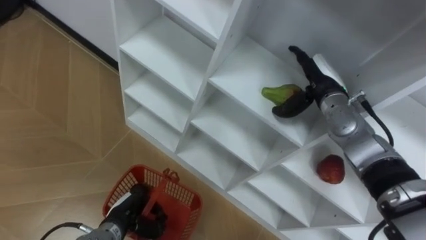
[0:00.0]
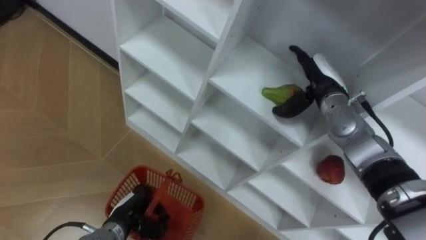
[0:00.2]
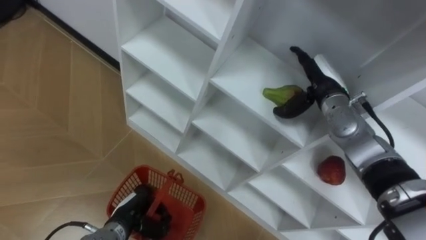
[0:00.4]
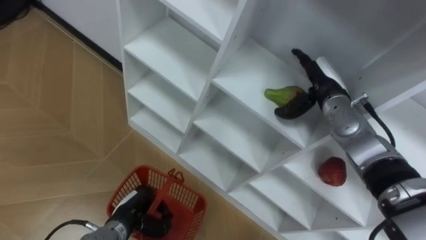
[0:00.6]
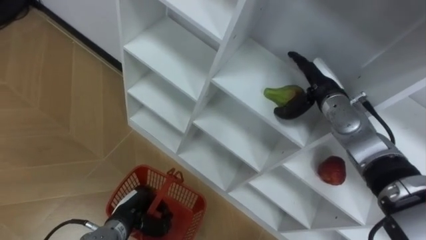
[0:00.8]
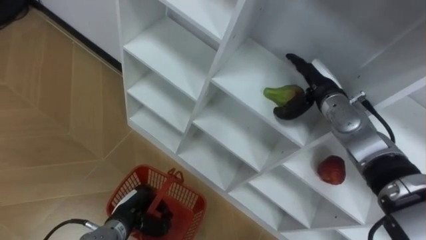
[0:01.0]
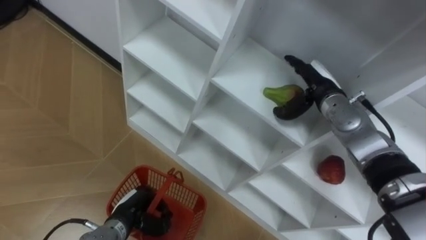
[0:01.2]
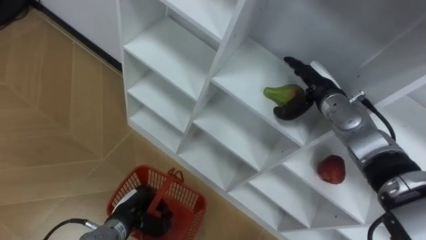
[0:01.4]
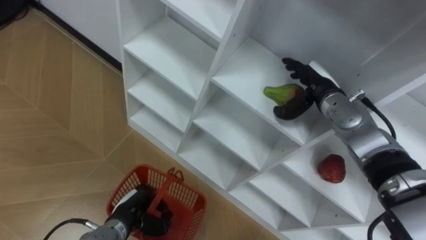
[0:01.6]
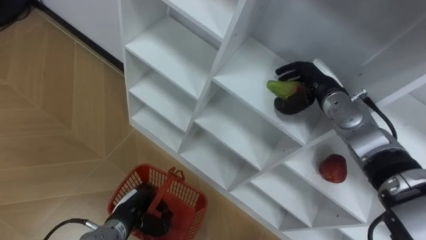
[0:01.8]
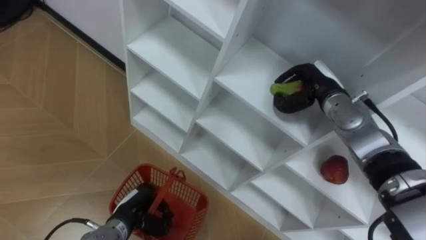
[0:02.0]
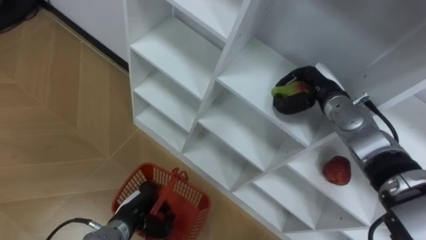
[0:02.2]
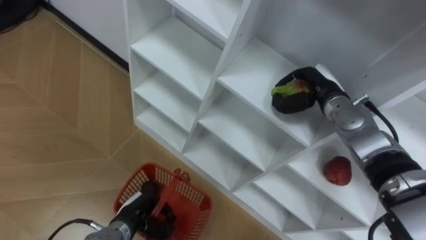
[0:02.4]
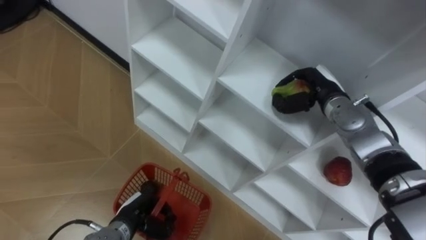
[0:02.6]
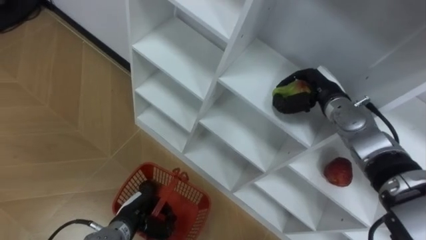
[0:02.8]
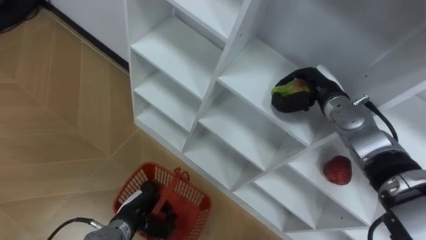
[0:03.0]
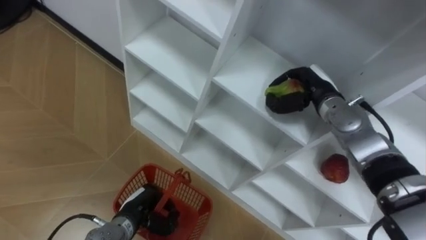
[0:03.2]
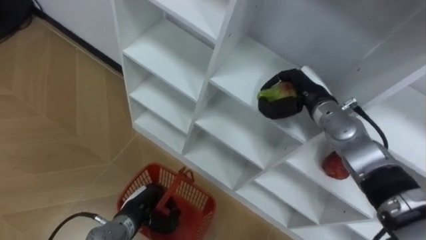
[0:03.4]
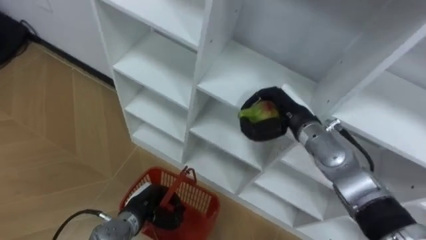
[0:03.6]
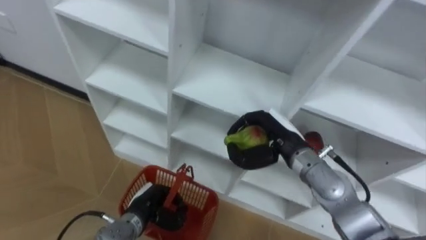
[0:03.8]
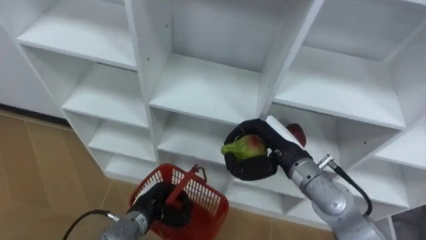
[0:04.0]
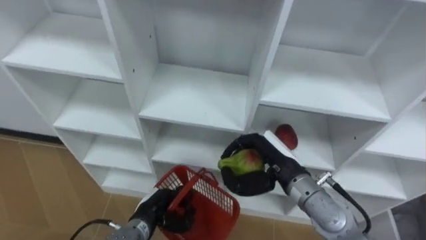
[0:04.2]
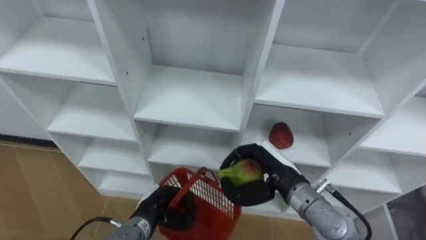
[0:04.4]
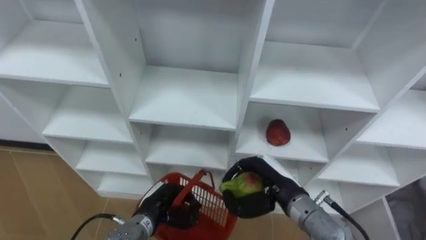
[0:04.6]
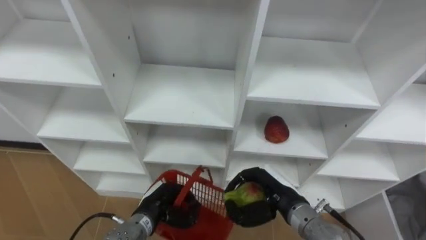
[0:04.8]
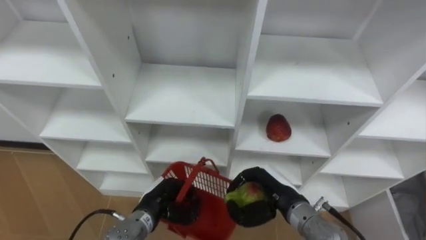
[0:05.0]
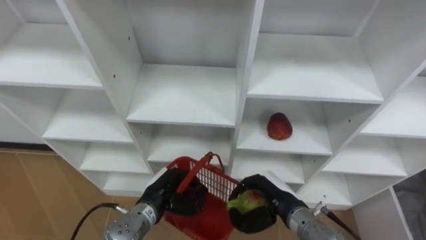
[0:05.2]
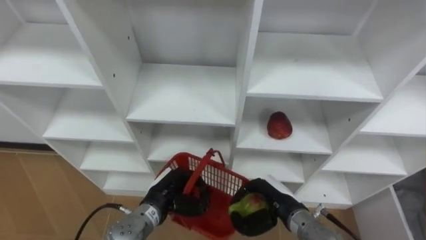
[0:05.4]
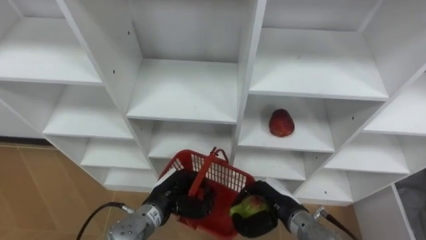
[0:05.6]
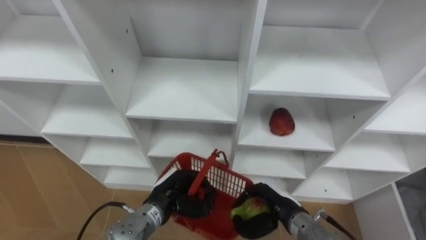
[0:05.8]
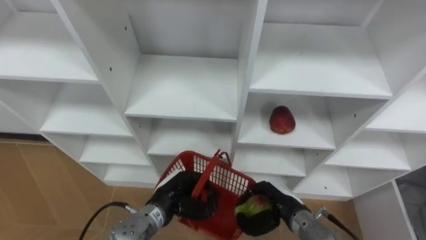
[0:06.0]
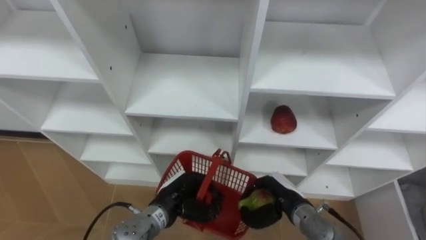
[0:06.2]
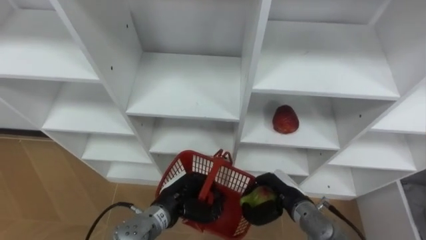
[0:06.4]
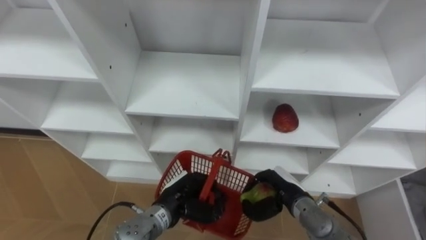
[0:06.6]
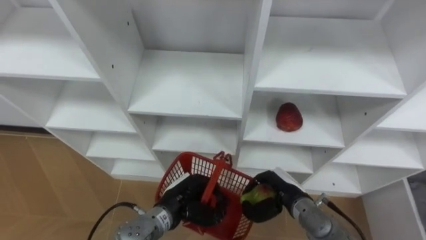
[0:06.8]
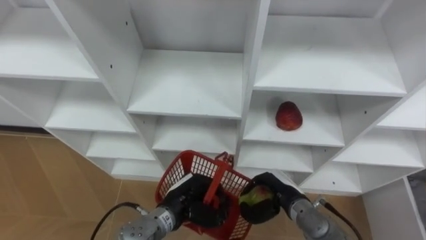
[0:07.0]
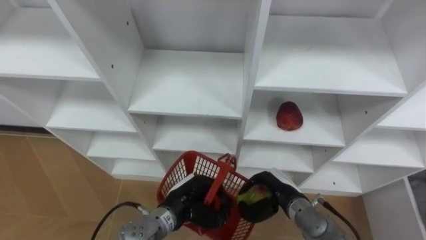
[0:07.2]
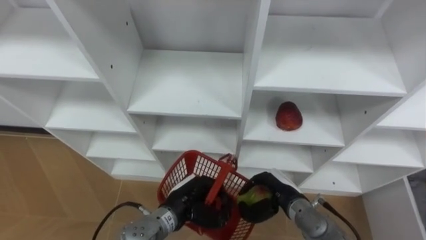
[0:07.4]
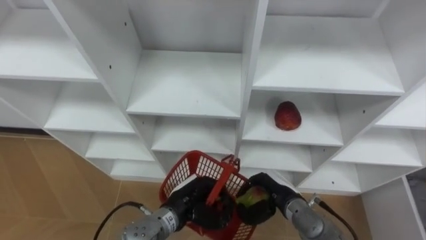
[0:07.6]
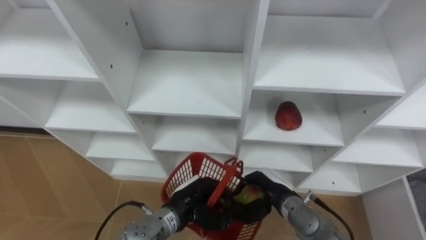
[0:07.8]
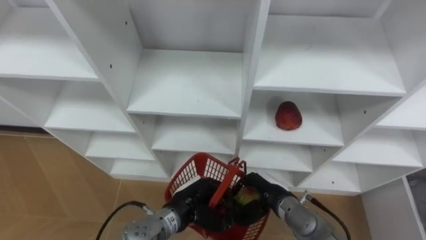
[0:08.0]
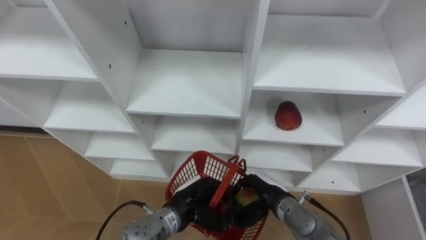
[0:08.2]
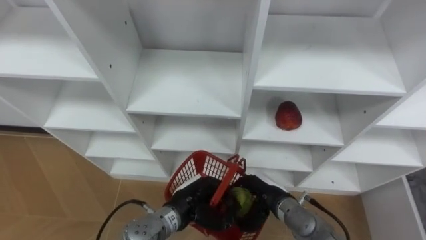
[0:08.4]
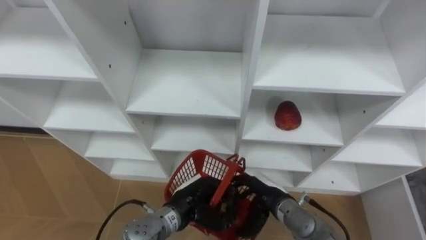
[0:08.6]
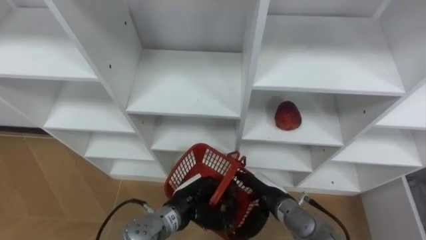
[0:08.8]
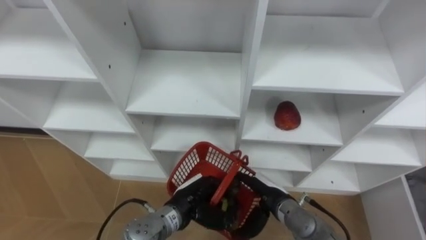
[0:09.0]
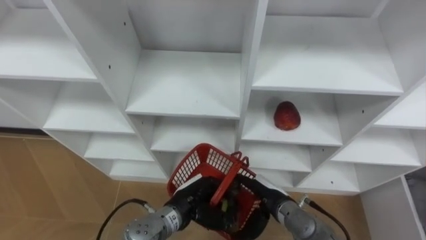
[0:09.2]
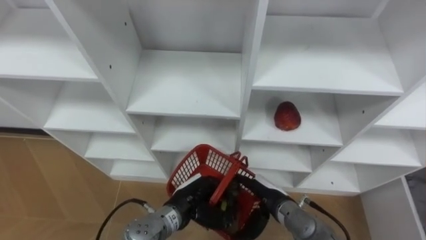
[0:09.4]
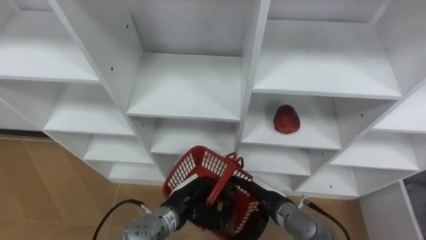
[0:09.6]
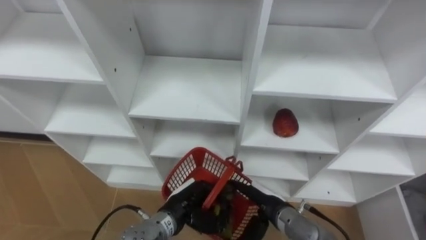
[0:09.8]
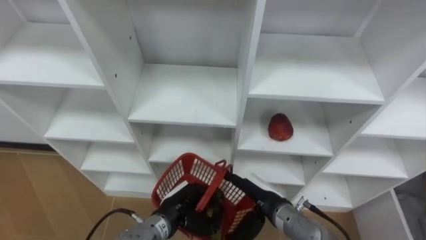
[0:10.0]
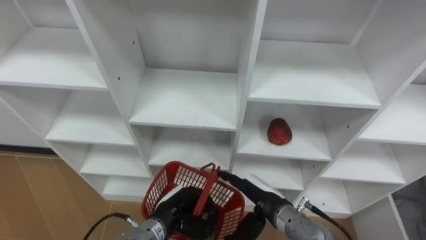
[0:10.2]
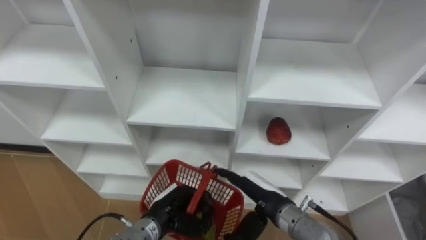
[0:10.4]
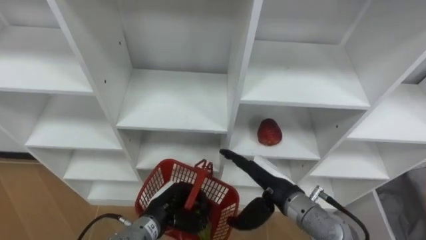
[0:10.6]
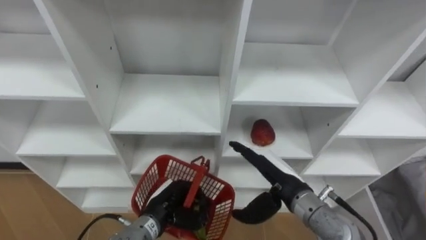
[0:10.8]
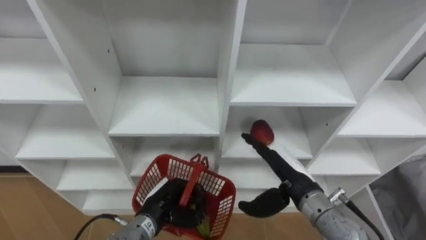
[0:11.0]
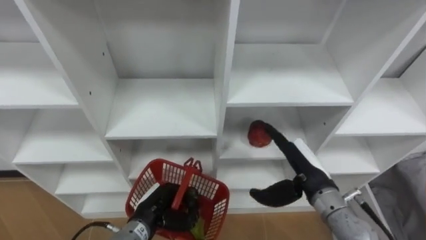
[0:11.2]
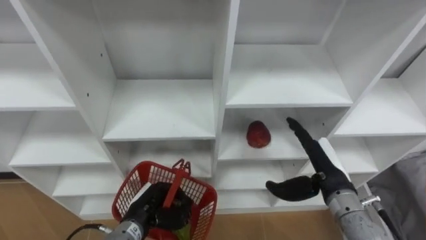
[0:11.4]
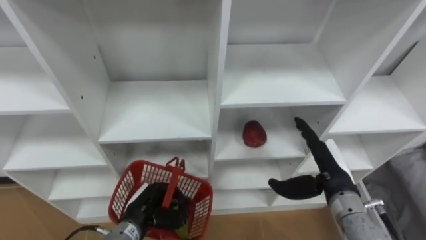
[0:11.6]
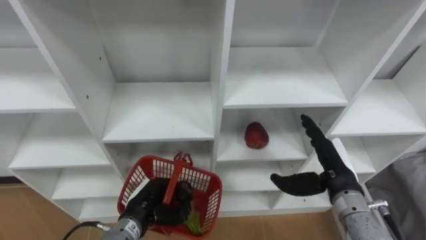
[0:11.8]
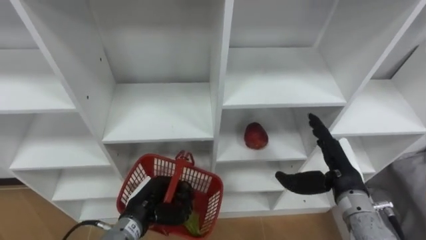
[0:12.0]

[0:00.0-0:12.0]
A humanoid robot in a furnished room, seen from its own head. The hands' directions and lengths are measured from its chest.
Task of the whole recording: Hold the basket and collect the fruits from 3 different cells of the closet into it.
0:00.0 to 0:01.6: There are only small adjustments of the hands.
0:01.6 to 0:03.0: The right hand closes.
0:03.0 to 0:04.4: The right hand travels backward and to the left by some 20 cm.
0:04.4 to 0:06.0: The left hand moves approximately 5 cm. The right hand shifts some 10 cm downward.
0:07.6 to 0:09.0: The right hand opens up.
0:09.0 to 0:10.4: The right hand shifts approximately 5 cm upward. The left hand changes place by roughly 5 cm.
0:10.4 to 0:12.0: The left hand moves some 5 cm; the right hand is displaced to the right and upward by approximately 15 cm.

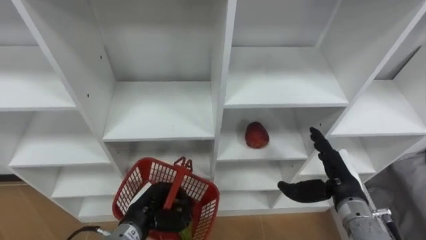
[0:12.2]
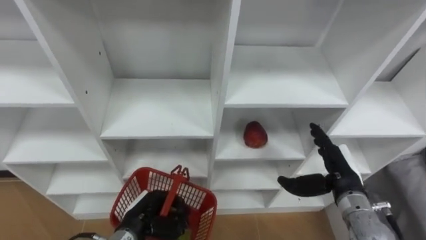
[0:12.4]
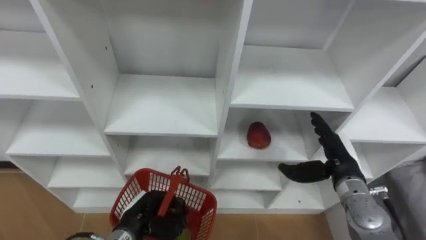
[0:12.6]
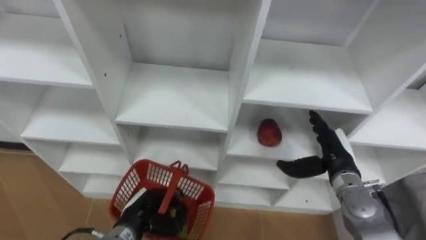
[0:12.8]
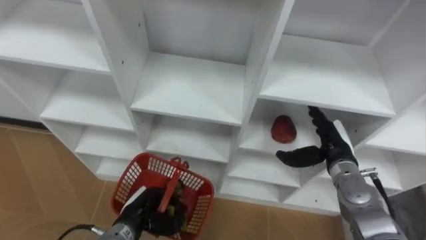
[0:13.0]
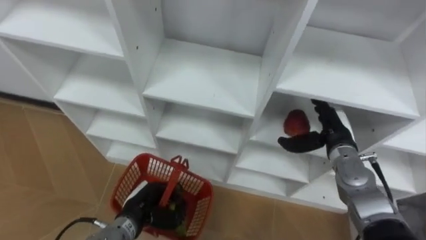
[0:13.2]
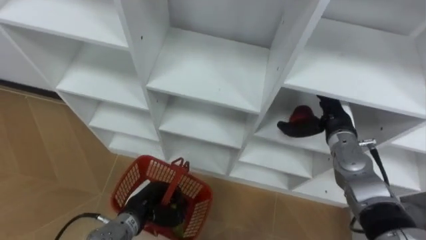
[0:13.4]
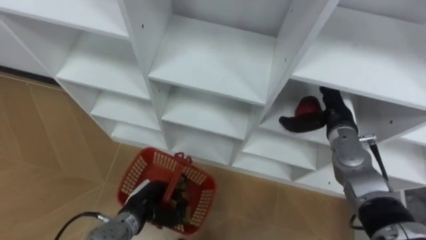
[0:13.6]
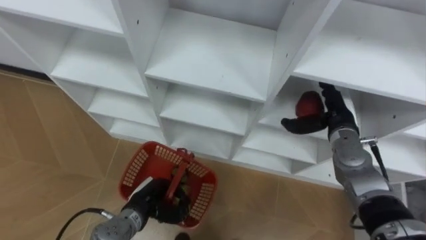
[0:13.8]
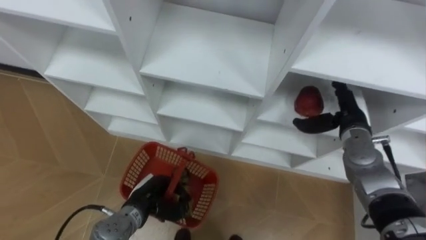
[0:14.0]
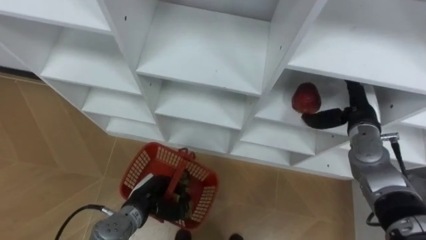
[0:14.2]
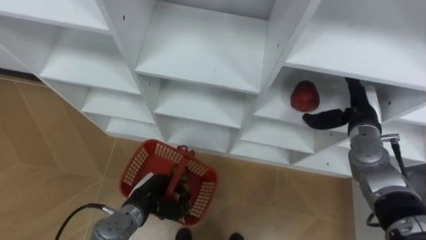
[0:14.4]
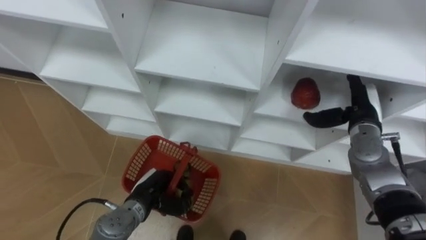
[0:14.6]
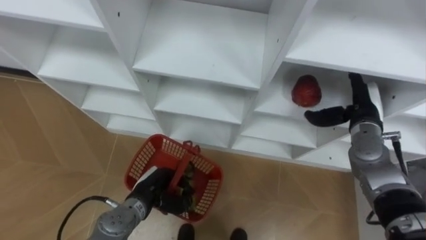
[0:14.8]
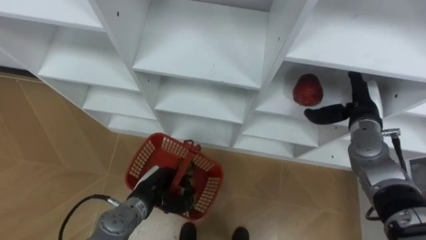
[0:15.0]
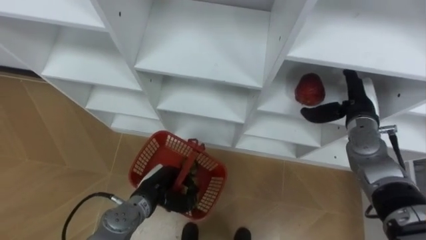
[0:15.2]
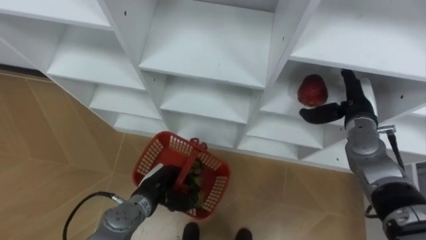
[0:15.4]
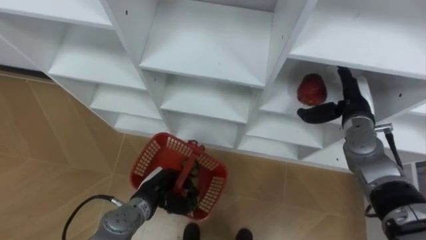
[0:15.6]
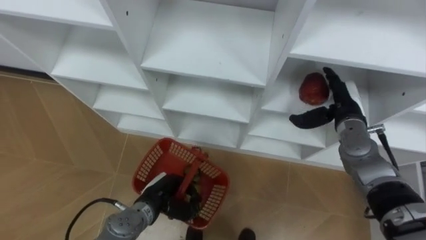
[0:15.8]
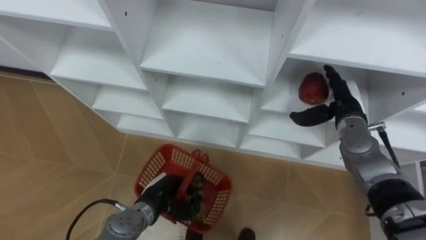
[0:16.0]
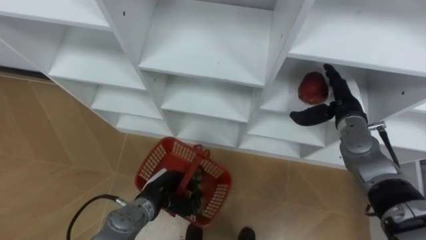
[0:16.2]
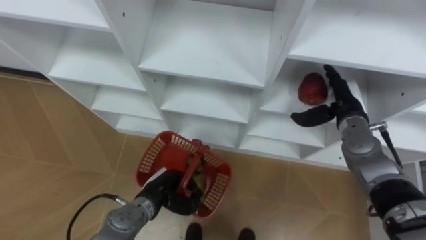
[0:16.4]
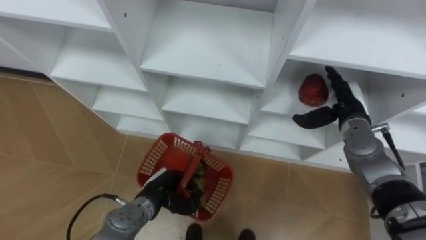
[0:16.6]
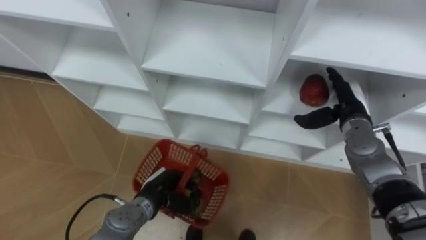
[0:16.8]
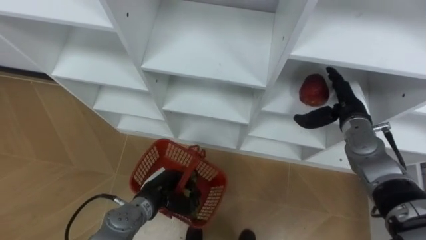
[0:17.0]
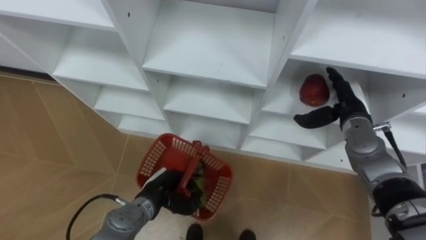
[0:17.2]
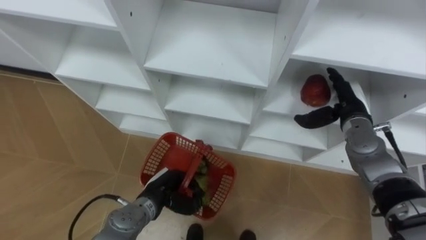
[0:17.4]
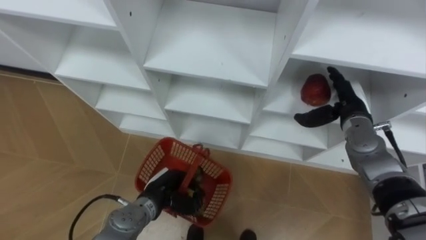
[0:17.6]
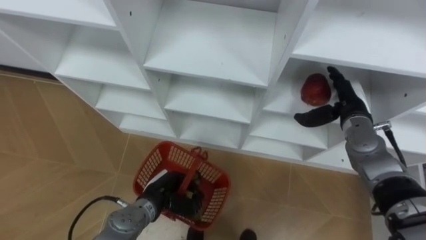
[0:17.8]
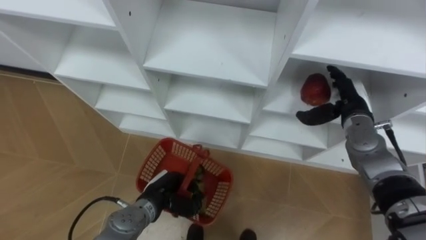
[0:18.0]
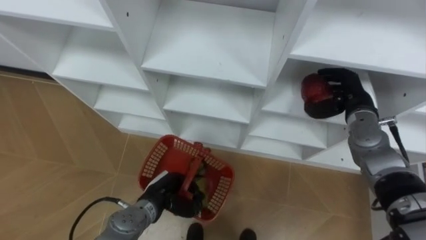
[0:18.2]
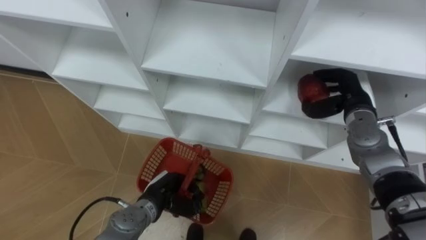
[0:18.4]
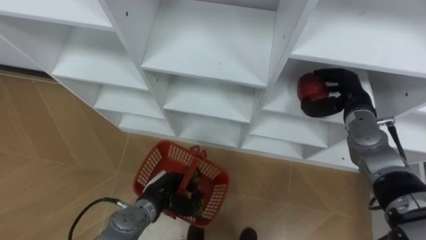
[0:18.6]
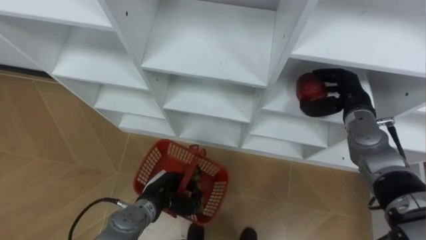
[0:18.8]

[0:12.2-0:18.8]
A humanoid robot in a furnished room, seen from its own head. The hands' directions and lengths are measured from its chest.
Task of the whole recording: Hold the basket and collect the fruits from 3 different cells of the closet into it.
0:12.2 to 0:13.8: The right hand is displaced forward by about 10 cm.
0:15.4 to 0:17.2: The hands move only a little.
0:17.2 to 0:18.8: The right hand closes its fingers.
